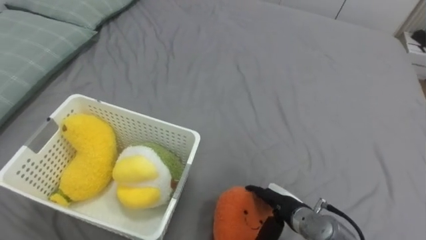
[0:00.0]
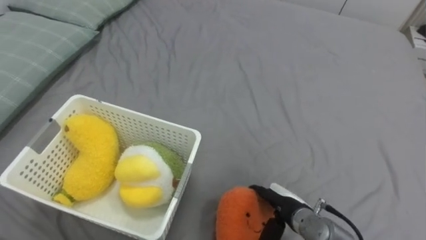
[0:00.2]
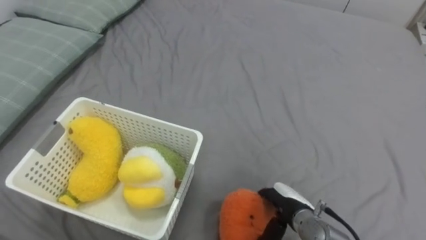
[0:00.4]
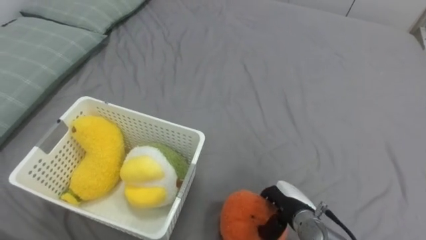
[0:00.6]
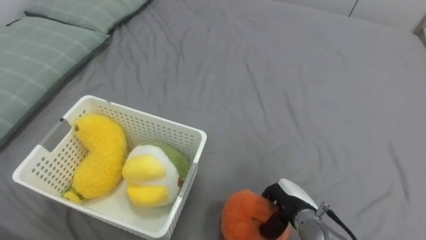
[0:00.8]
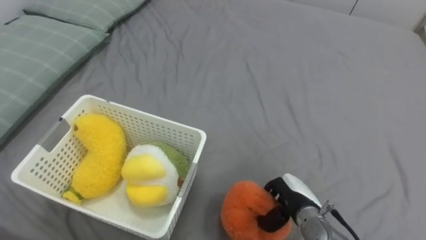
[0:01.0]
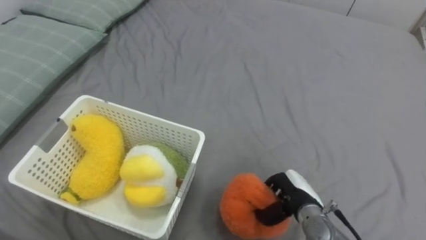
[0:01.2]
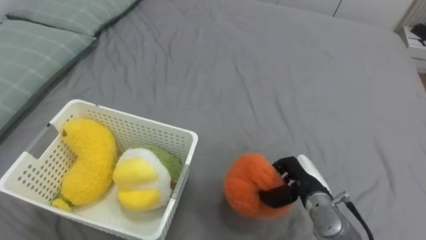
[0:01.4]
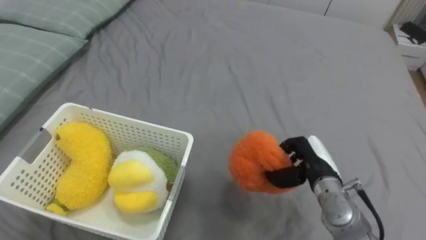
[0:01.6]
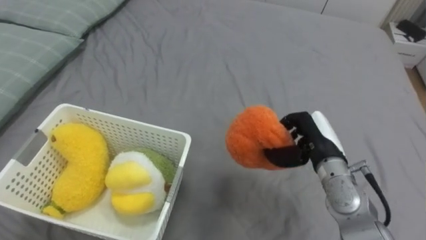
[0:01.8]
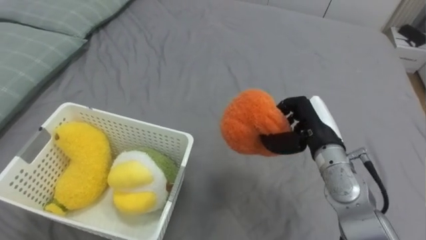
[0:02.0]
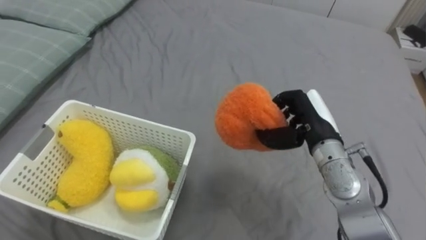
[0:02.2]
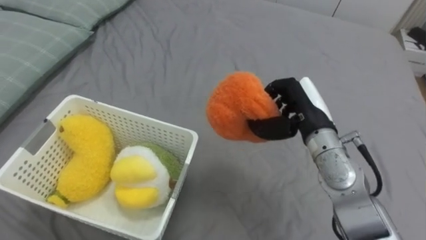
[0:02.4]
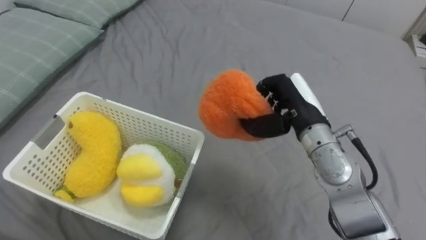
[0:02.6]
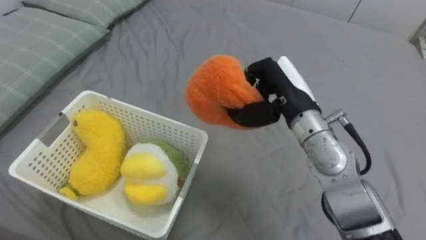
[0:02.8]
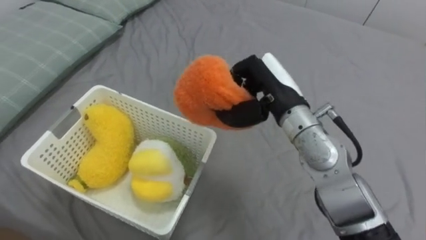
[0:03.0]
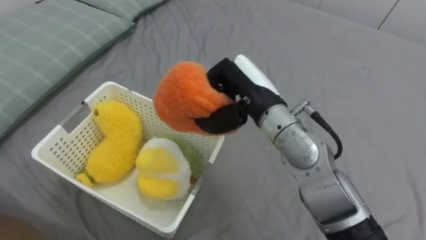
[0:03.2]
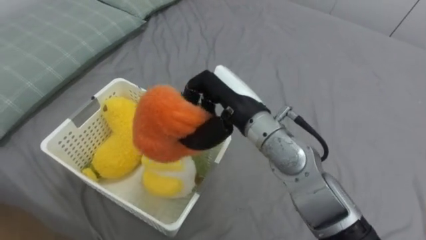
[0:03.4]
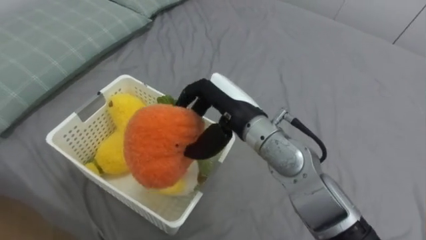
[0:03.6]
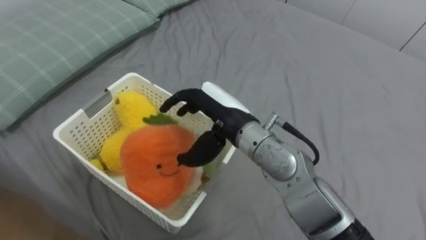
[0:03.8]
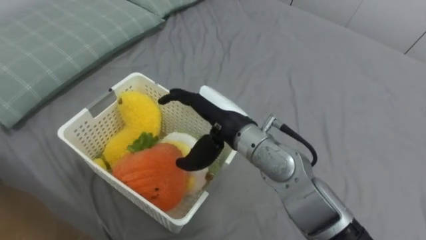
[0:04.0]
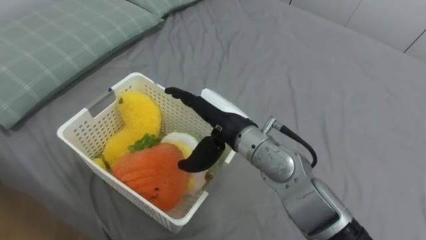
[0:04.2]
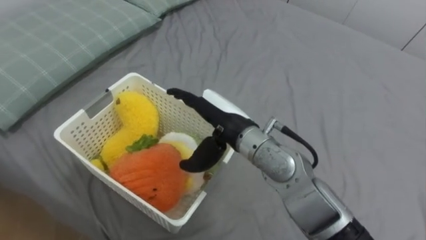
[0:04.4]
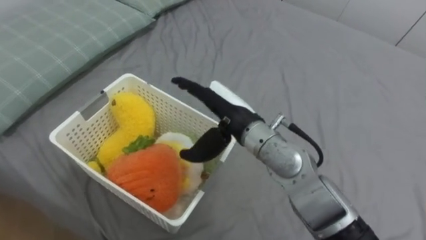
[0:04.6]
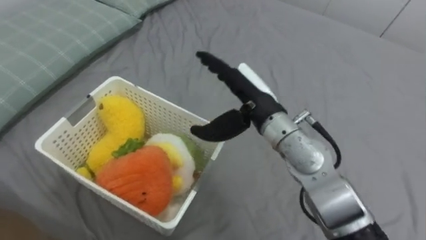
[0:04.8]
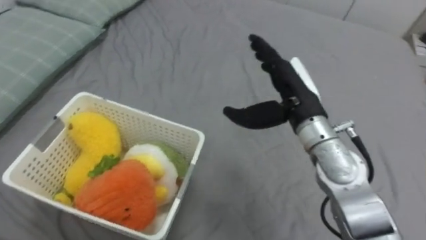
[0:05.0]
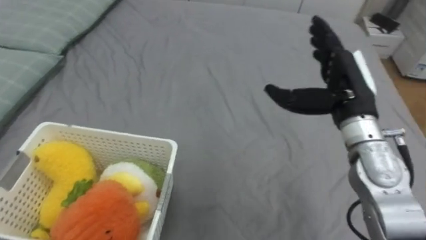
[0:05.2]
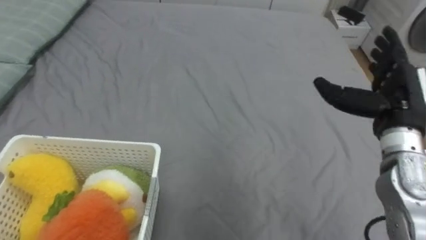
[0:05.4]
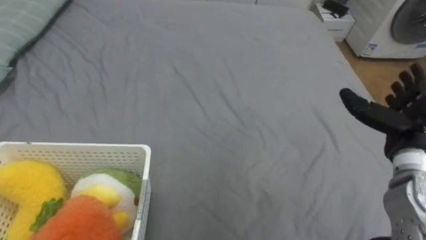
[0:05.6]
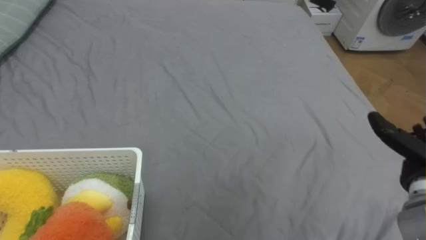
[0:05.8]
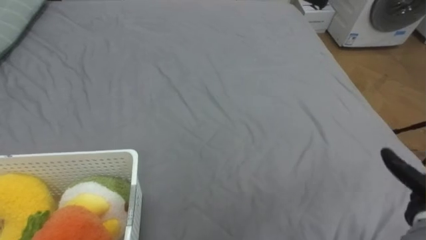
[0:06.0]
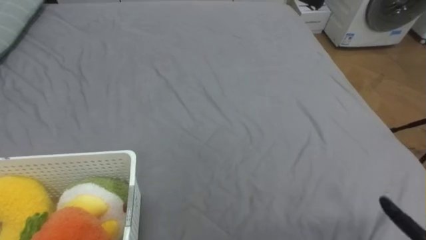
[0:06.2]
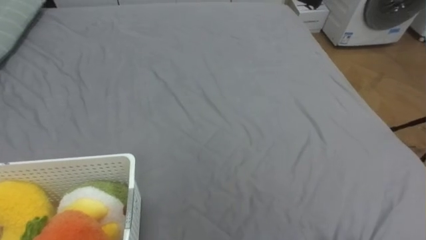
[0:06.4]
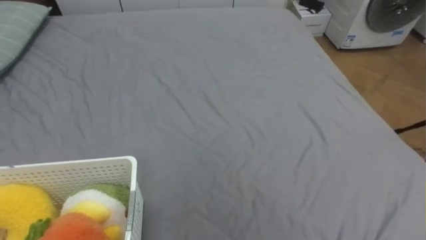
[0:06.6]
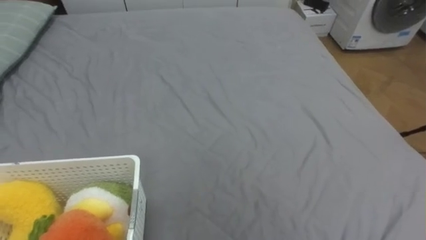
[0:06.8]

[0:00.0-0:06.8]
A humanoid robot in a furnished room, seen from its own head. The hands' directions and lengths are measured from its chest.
Task of the whole recording: Put the toys on the bed into the basket on the left.
0.0 to 1.4 s: The right hand changes place by about 5 cm, and closes.
1.4 to 2.8 s: The right hand moves upward, about 20 cm.
2.8 to 4.0 s: The right hand shifts some 10 cm to the left, and opens up.
4.0 to 5.4 s: The right hand shifts about 25 cm to the right.

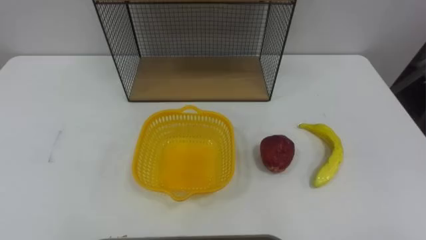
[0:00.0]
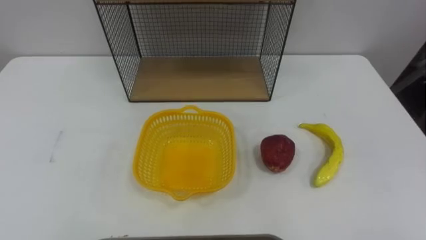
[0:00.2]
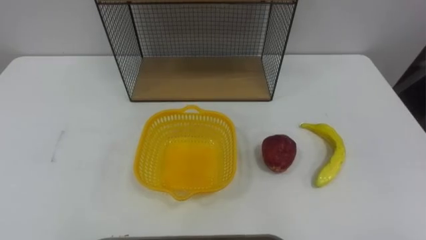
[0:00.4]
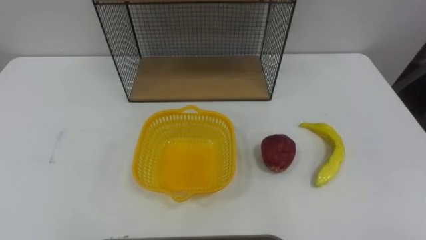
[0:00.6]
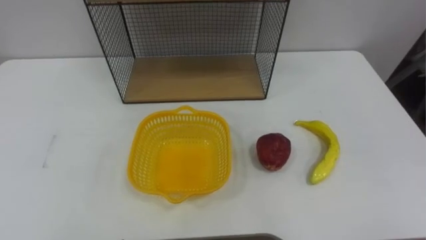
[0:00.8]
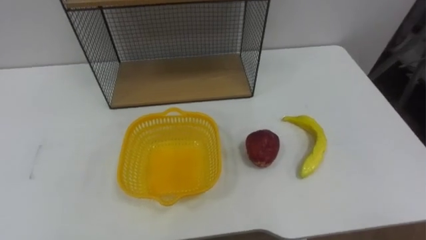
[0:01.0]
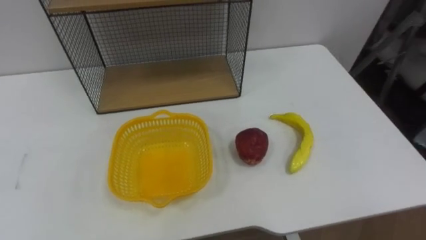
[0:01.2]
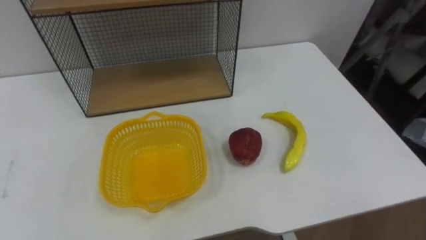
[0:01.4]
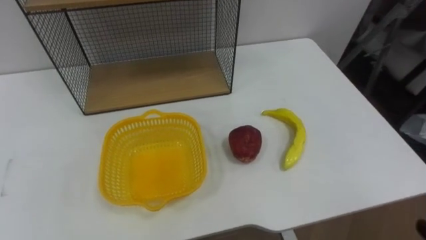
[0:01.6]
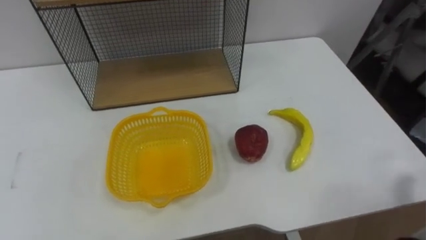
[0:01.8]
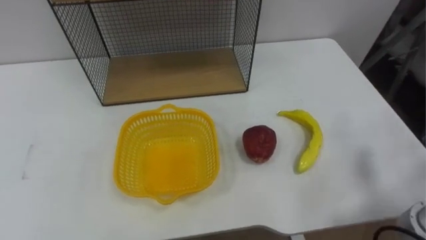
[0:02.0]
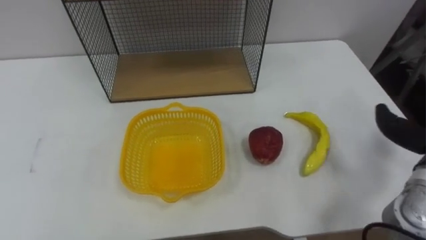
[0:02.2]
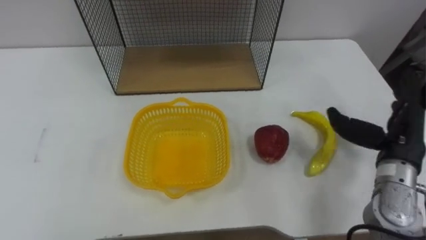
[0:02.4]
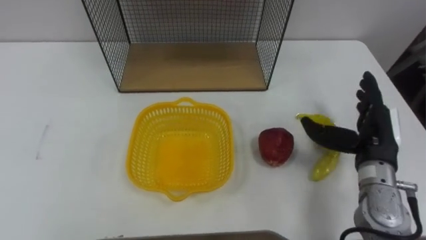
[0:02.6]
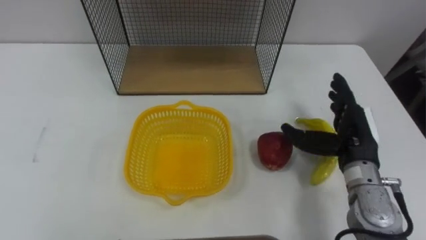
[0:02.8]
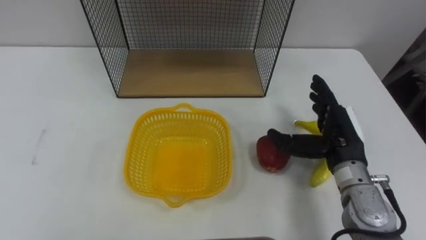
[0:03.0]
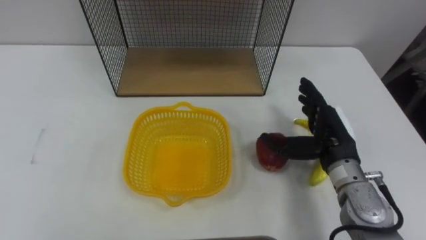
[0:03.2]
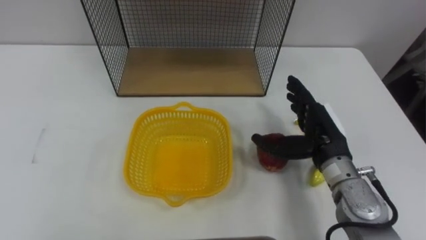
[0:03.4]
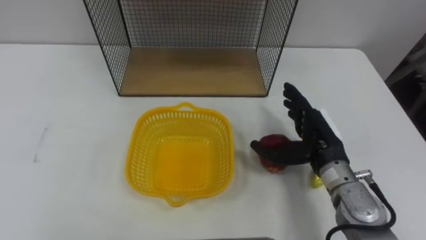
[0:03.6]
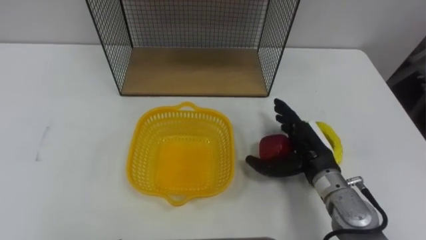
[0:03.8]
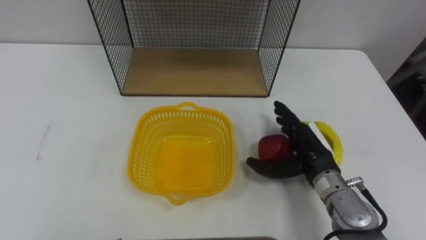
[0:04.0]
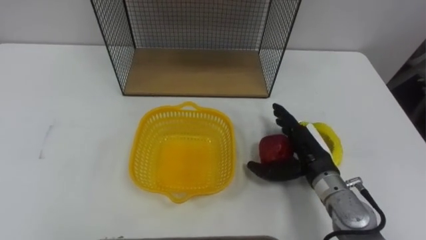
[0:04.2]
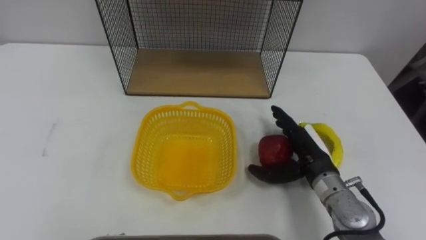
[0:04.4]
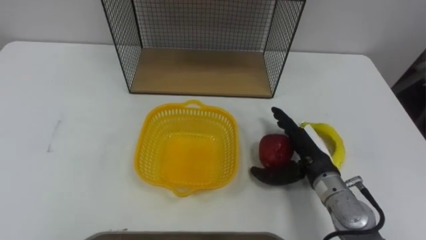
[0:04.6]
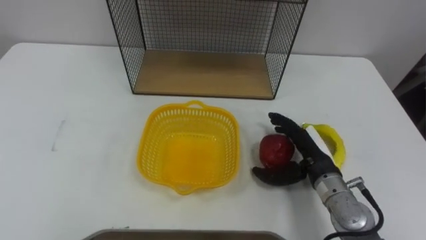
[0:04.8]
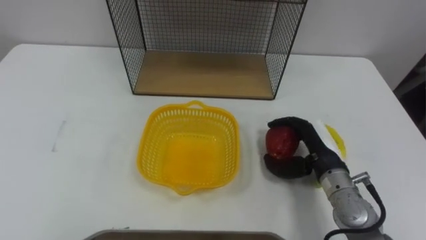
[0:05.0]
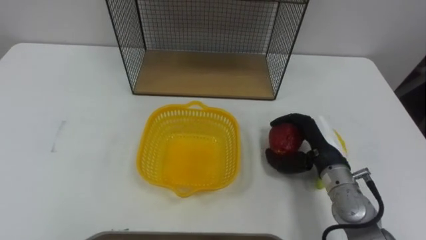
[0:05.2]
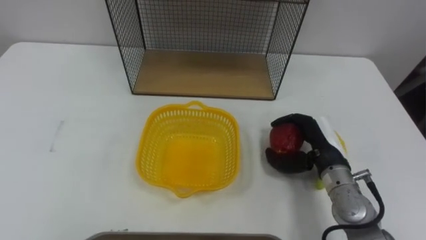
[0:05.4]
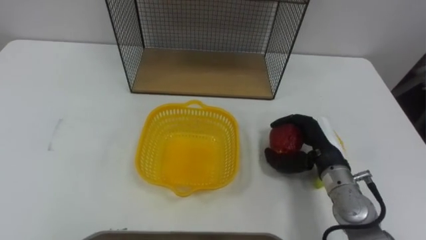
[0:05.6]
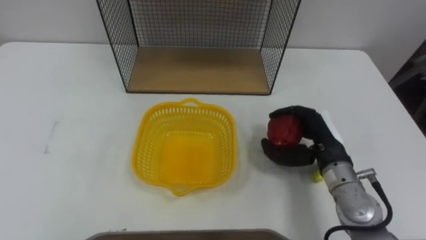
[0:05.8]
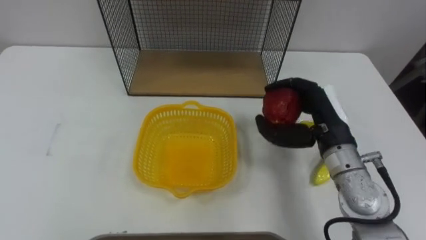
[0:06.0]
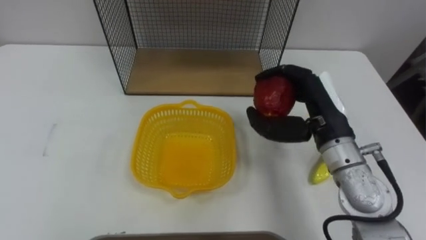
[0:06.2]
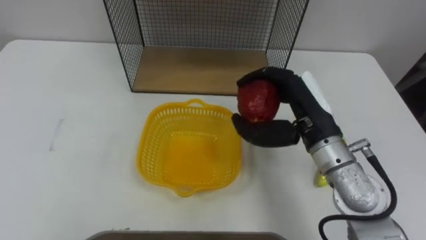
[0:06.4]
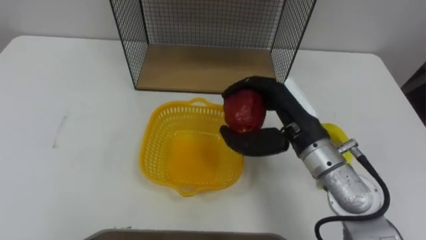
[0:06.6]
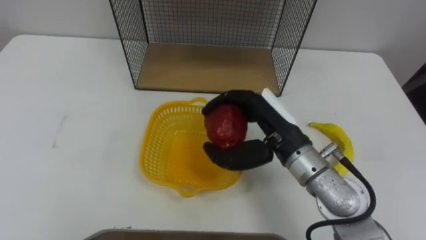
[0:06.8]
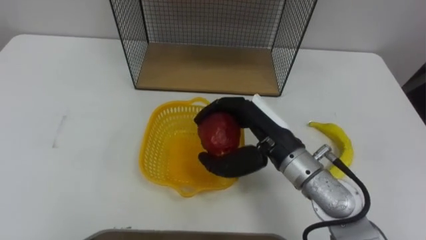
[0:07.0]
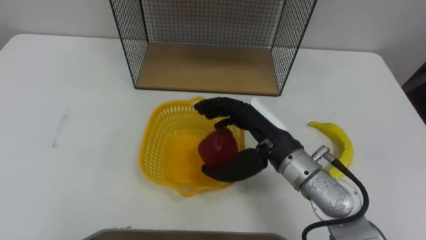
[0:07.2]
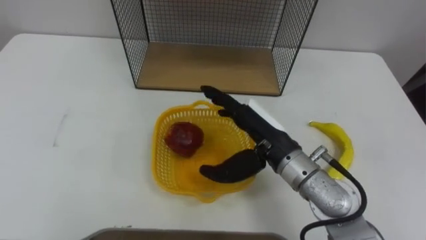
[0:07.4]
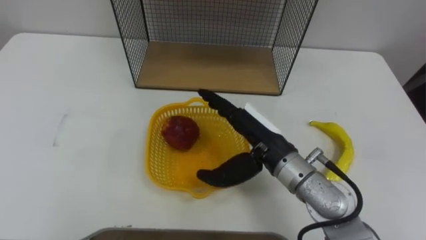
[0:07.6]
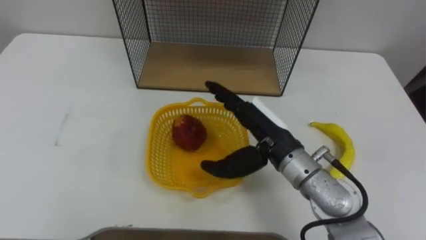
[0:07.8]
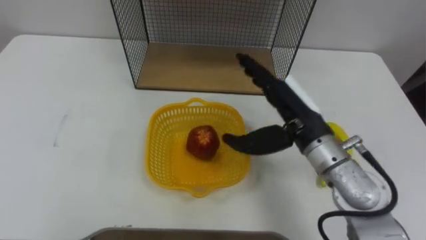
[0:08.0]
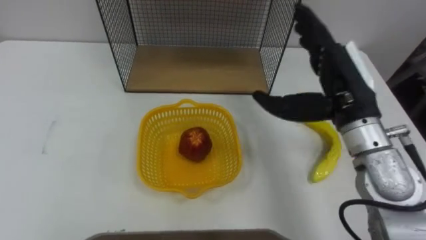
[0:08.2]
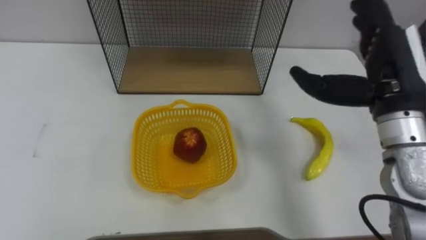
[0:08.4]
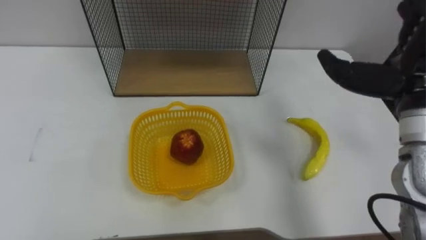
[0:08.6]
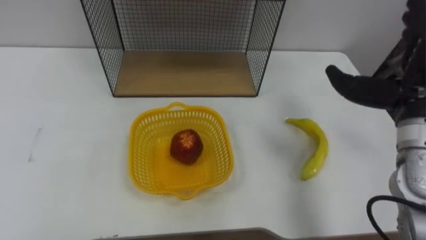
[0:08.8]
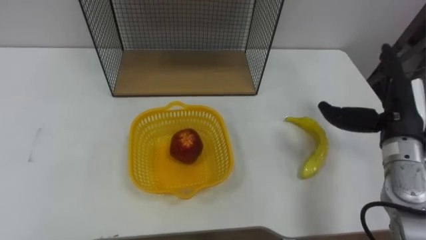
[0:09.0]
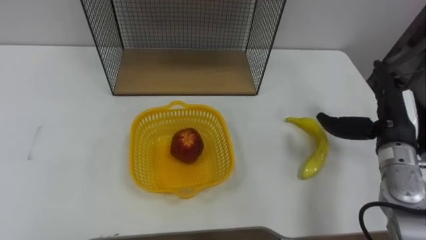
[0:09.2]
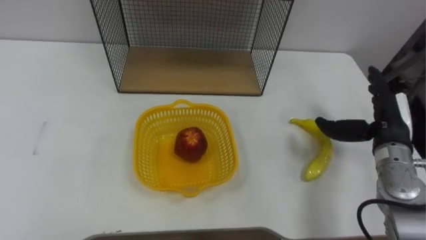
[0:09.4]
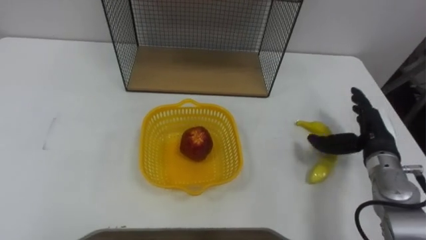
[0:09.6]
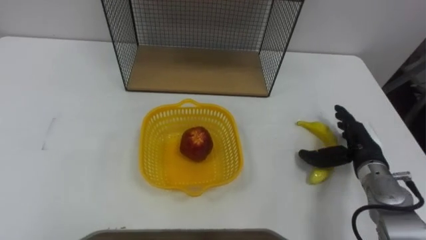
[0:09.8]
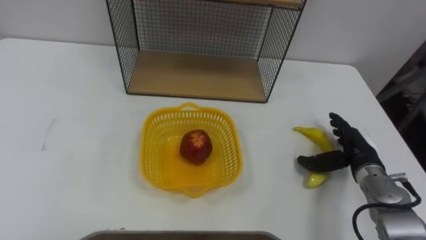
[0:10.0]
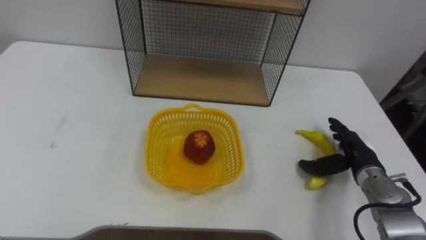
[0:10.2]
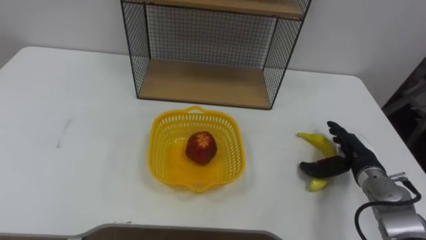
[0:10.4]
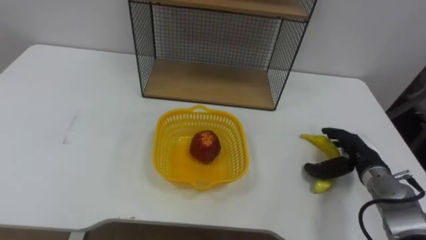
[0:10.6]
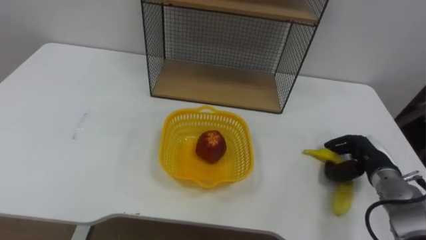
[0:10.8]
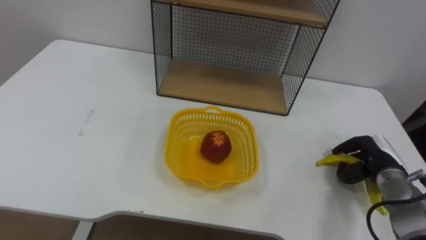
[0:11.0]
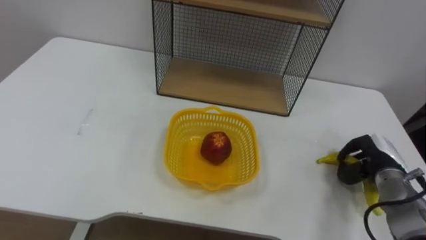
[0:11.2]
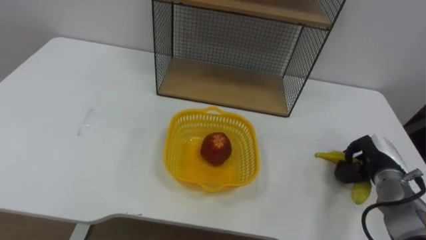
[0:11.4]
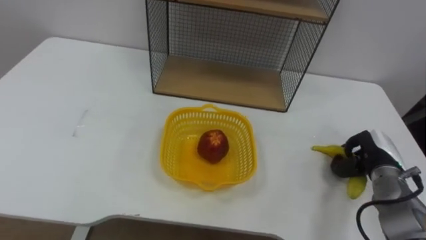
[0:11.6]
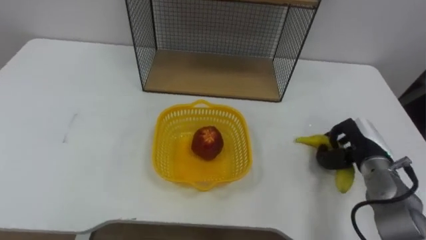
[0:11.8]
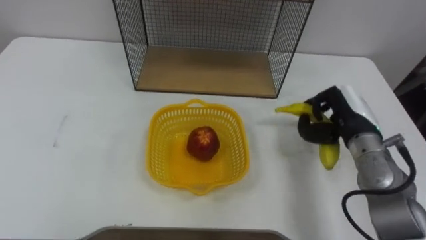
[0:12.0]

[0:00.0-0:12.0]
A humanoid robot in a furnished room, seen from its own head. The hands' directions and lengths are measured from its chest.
Task of the whole recording: Put the fruit on the table into the basket, then place the basket on the shelf.
3.0 to 4.4 s: The right hand travels downward by approximately 5 cm.
4.4 to 6.0 s: The right hand moves upward, roughly 10 cm, and closes its fingers.
6.0 to 7.6 s: The right hand heads to the left, covering approximately 10 cm, and opens its fingers.
9.0 to 10.4 s: The right hand goes some 15 cm downward.
10.4 to 12.0 s: The right hand moves upward, some 10 cm, and closes its fingers.
